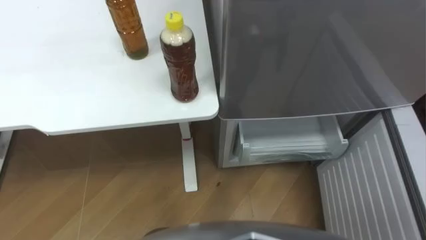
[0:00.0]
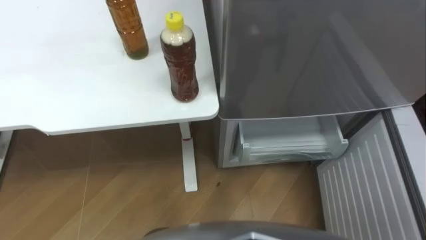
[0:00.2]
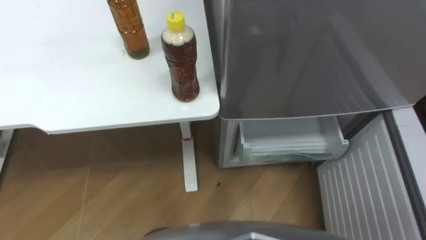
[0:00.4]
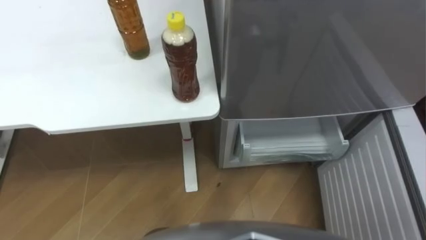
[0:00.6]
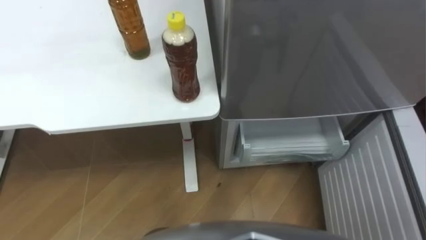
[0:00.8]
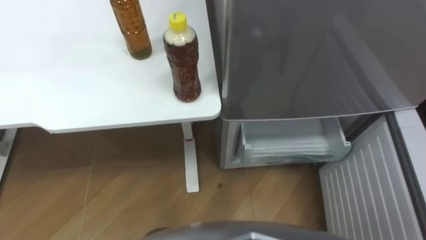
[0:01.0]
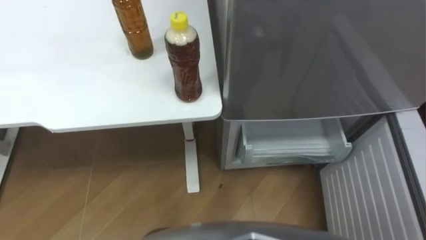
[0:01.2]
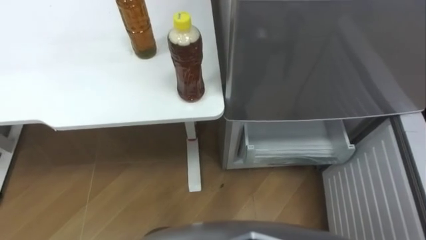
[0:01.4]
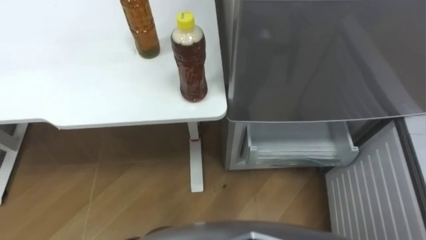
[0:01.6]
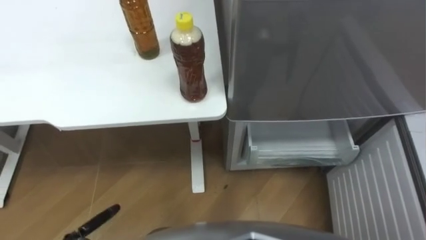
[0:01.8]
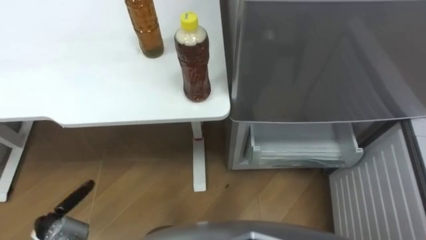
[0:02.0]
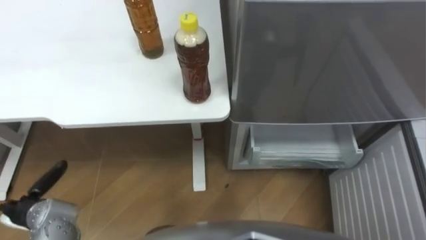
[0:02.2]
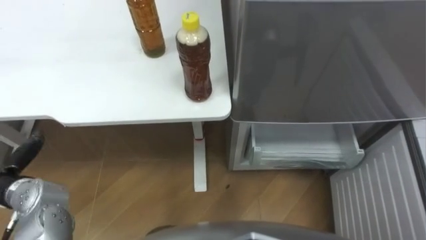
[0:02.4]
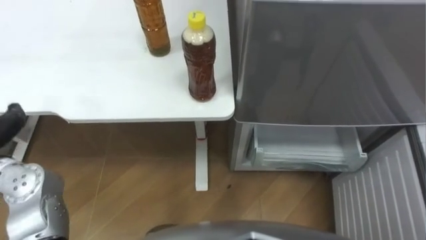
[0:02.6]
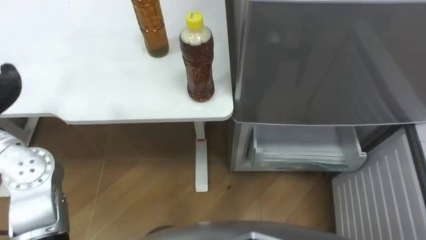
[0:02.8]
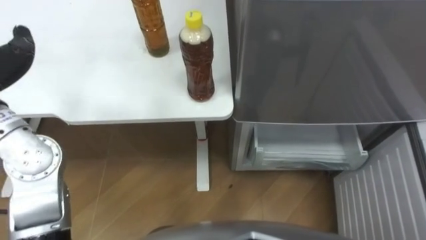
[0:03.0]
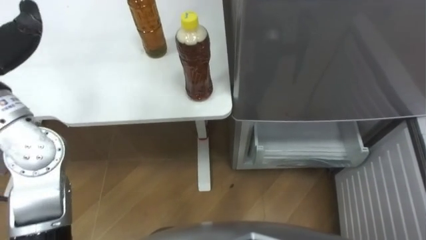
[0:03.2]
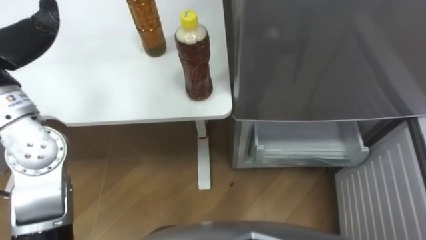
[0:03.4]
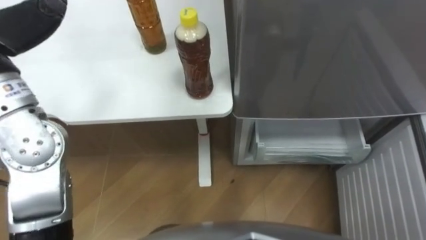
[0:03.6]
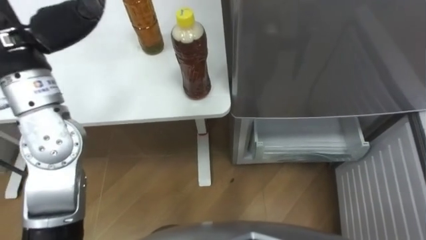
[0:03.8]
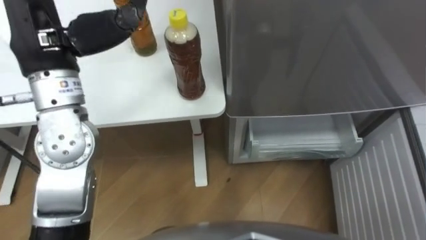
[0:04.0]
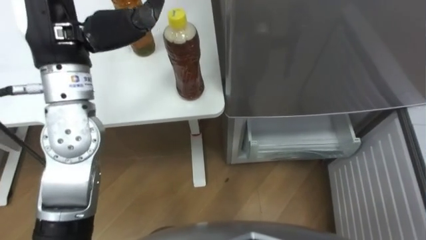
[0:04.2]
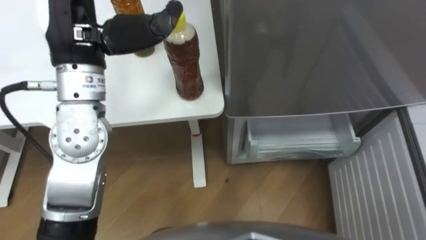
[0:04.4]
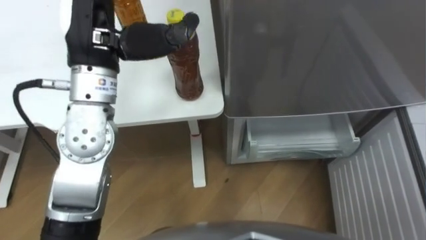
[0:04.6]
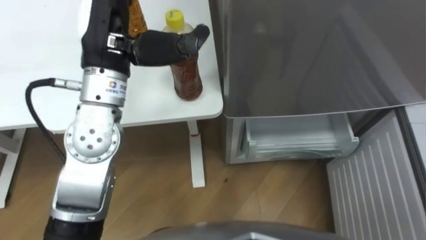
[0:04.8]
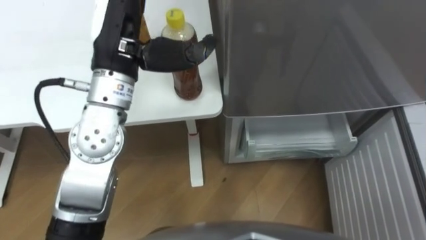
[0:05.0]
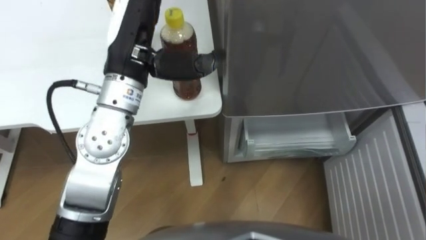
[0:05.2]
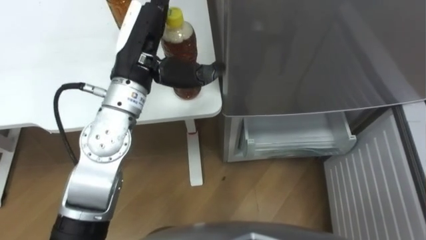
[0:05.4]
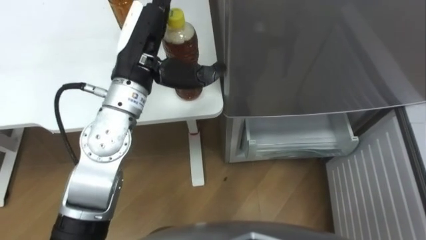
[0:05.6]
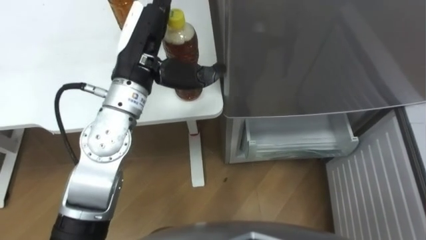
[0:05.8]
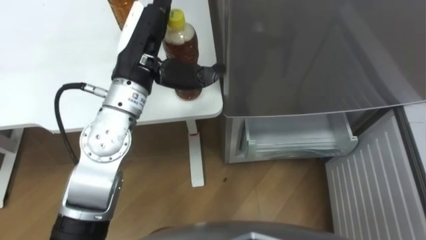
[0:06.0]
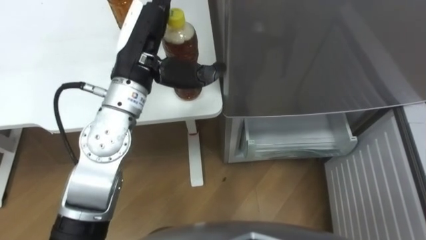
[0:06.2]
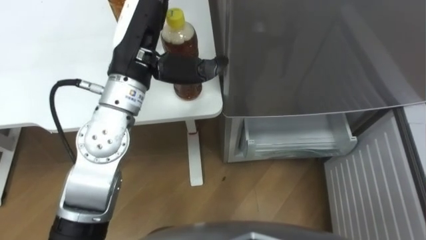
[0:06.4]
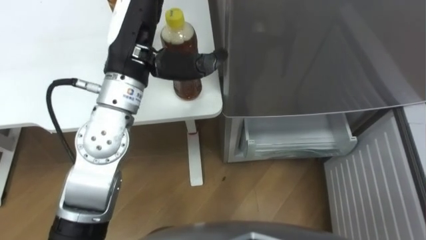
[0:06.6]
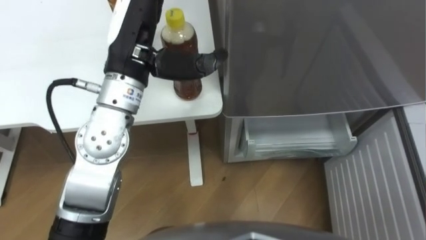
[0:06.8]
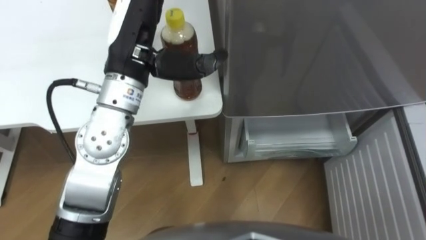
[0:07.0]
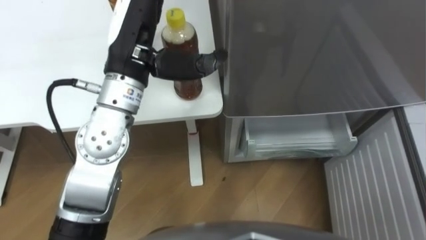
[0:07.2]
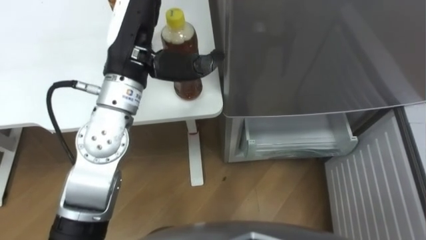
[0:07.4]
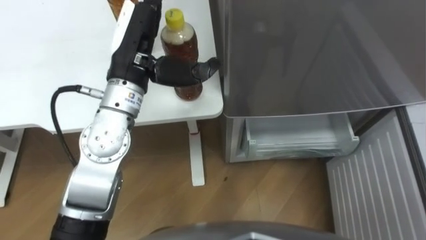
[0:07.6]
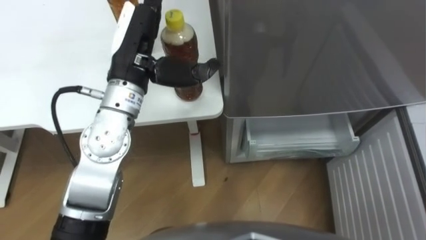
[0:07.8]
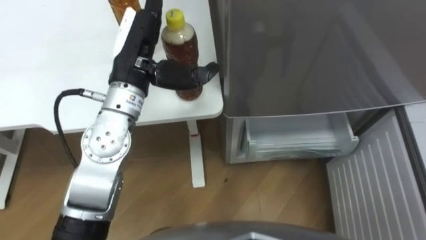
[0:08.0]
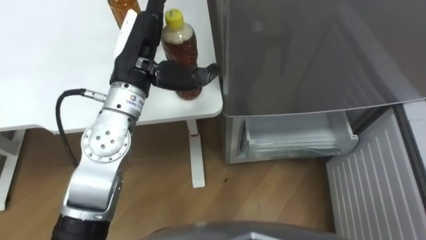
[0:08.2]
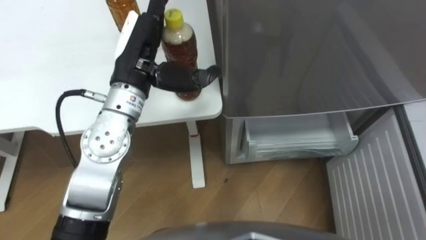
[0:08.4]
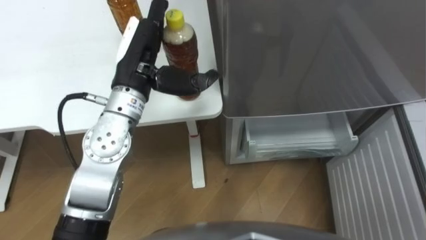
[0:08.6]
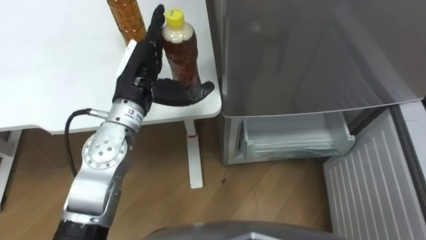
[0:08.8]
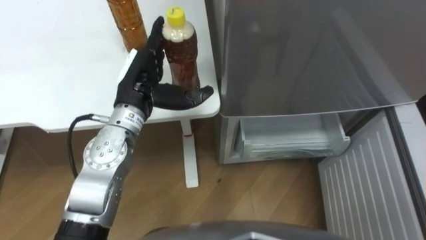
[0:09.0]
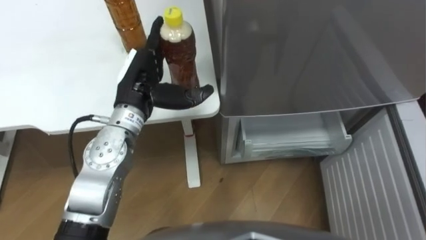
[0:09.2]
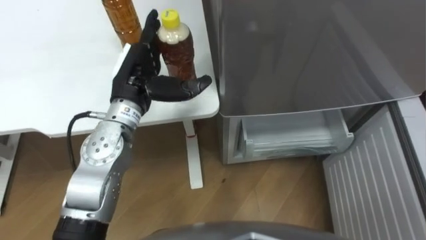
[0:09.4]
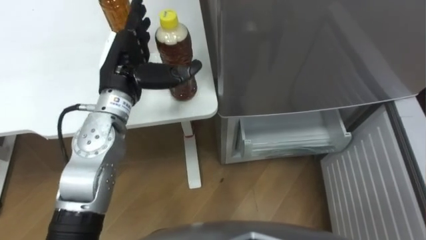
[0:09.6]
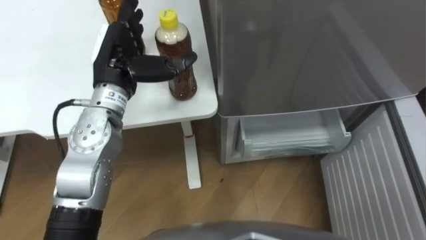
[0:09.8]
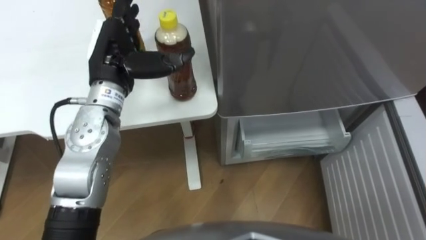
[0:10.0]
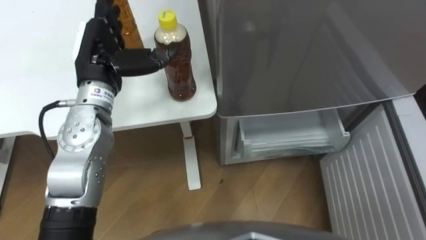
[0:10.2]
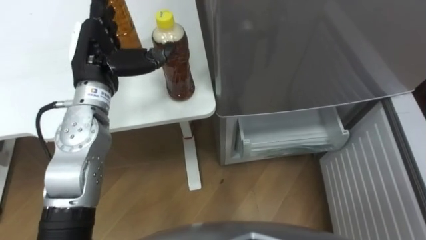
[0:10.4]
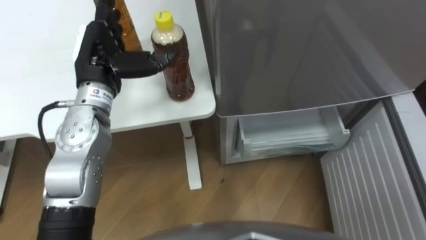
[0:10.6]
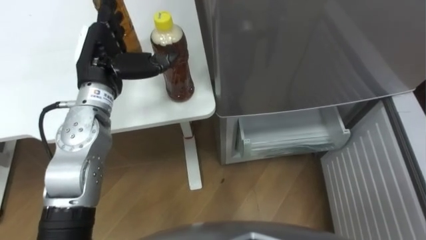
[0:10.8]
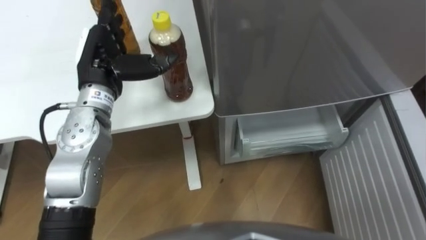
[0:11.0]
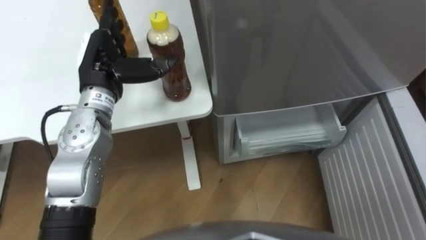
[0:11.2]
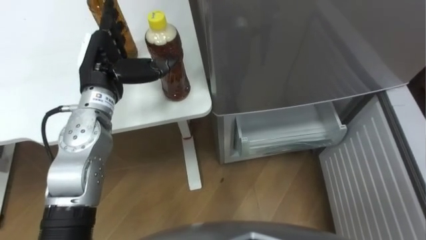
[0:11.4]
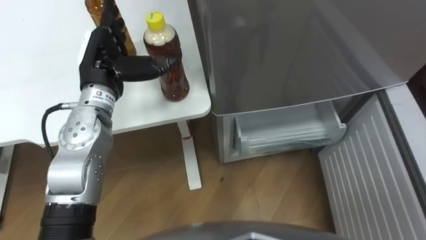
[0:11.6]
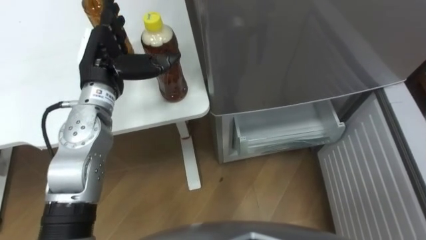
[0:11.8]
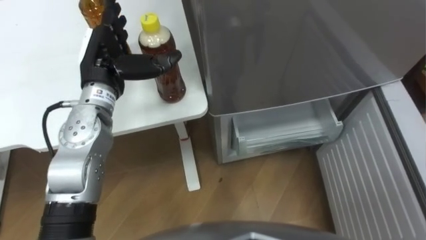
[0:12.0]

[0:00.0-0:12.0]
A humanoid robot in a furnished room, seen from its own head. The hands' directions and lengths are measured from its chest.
Task of the whole recording: Place the drink on the table on the bottom shelf of the refrigerator, then close the drawer and the refrigerator door.
0:04.4 to 0:06.0: The left hand shifts about 10 cm downward and to the right.
0:07.6 to 0:09.0: The left hand moves downward, approximately 10 cm.
0:09.0 to 0:10.4: The left hand heads to the left, covering approximately 5 cm.

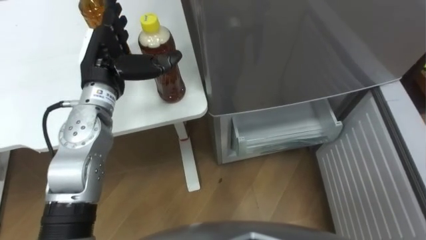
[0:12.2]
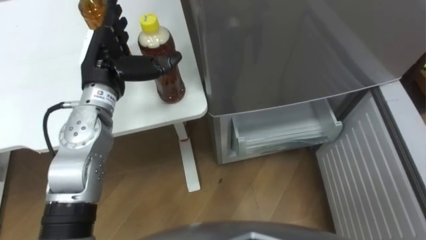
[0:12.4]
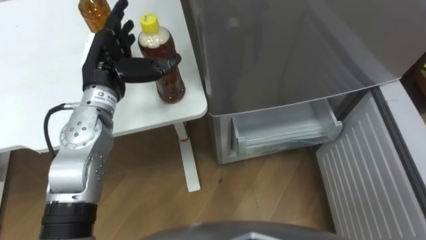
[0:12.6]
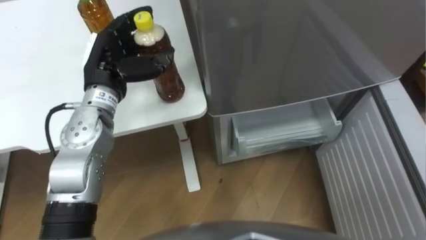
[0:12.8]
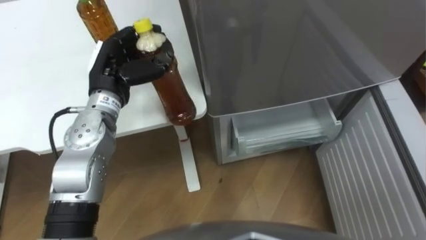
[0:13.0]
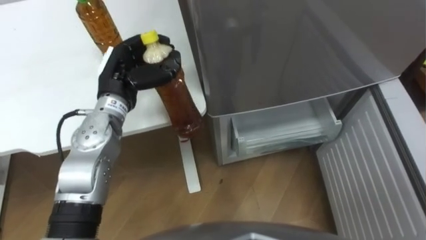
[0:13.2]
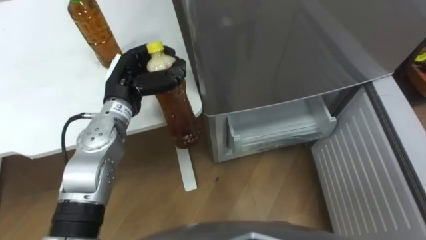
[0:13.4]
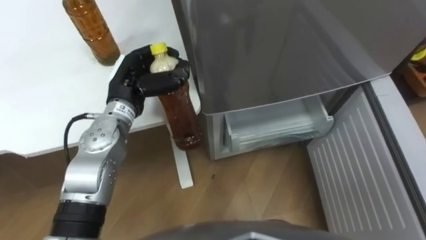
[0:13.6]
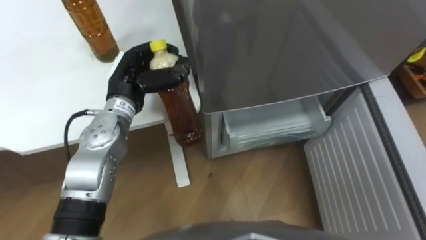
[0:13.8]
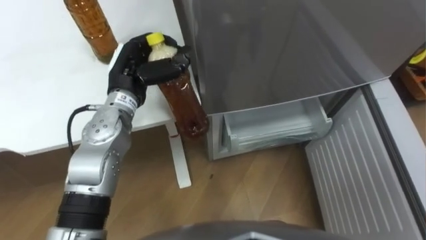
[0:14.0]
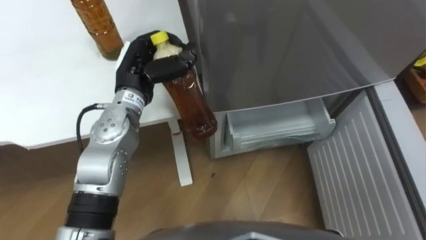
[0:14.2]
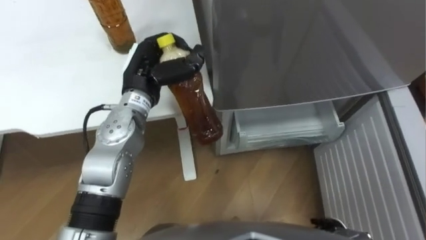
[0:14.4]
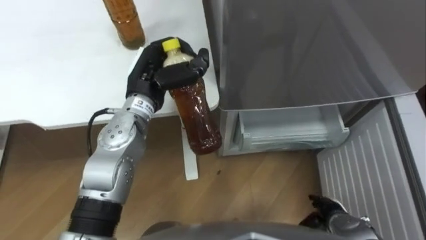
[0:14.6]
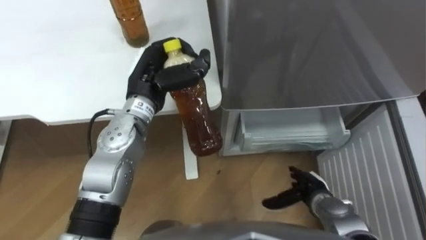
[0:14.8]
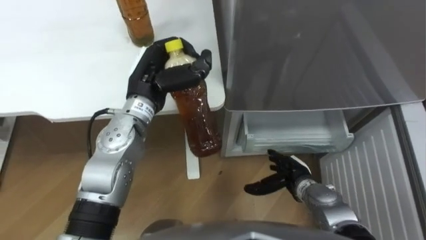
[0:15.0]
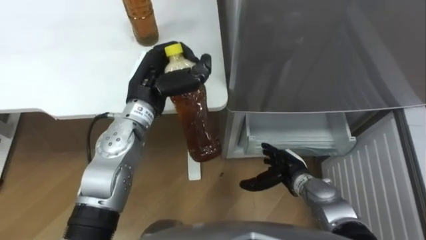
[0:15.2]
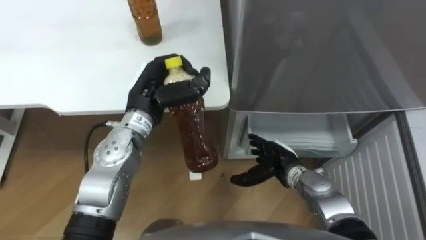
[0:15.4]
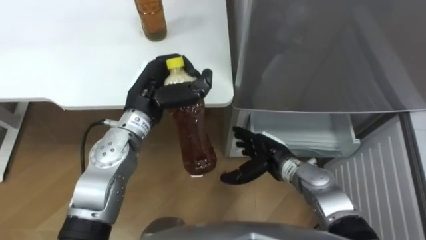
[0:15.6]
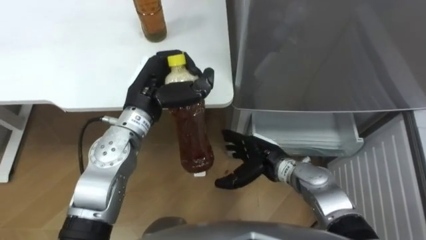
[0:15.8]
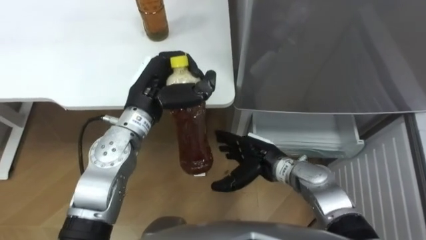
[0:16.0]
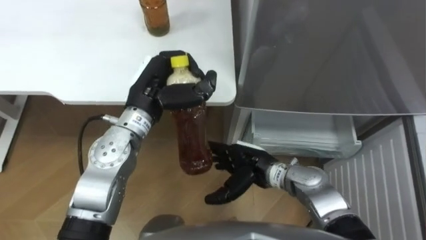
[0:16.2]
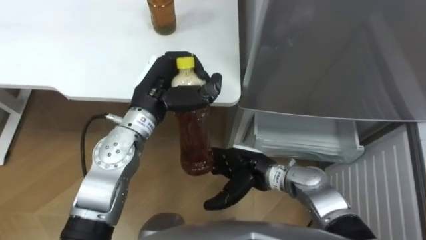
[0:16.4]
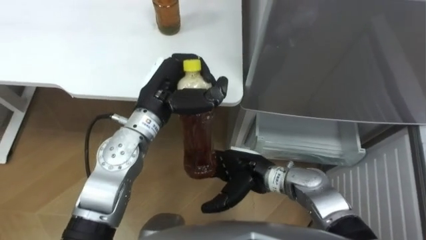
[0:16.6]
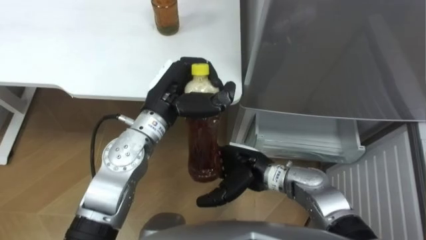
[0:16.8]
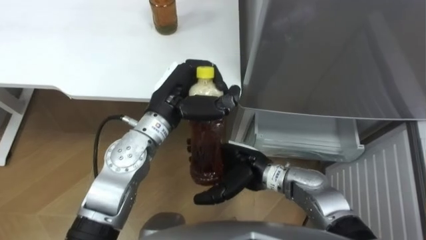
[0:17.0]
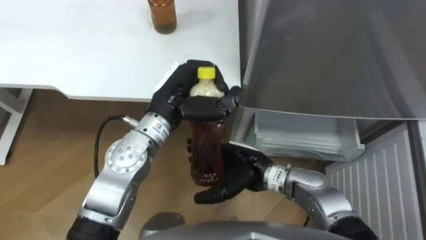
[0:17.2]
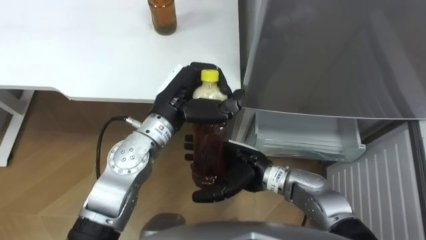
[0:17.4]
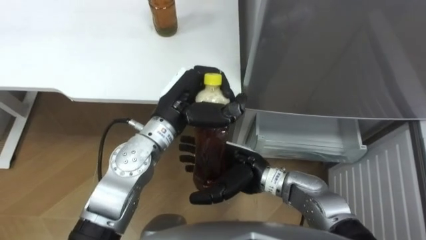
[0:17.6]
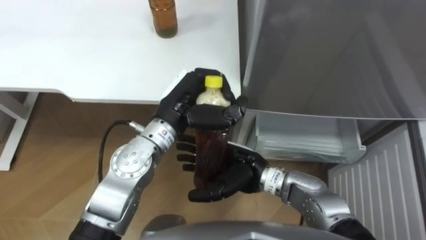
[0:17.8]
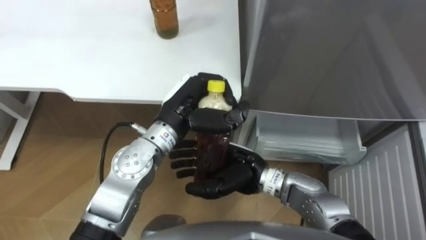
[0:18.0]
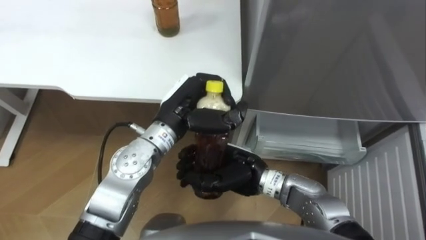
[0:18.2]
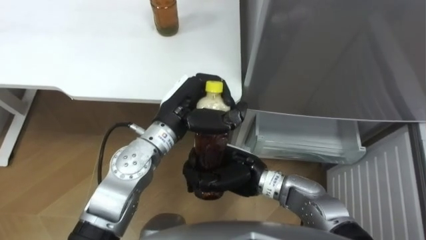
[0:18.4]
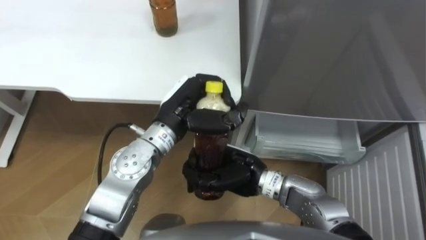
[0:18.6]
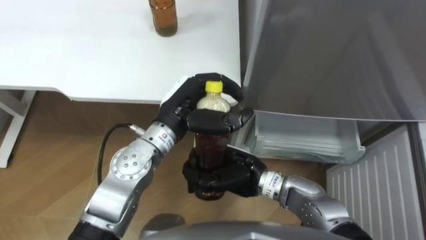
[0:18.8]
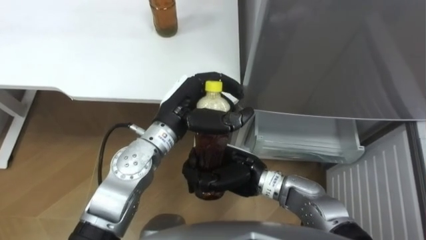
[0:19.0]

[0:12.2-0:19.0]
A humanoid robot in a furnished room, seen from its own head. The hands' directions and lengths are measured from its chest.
Task of the whole recording: Place the drink on the table on the bottom shelf of the refrigerator, then close the drawer and the refrigerator door.
0:12.2 to 0:13.6: The left hand is displaced downward by about 5 cm, and closes its fingers.
0:15.0 to 0:16.2: The right hand goes approximately 15 cm to the left and upward.
0:16.2 to 0:17.6: The left hand shifts by some 5 cm.
0:17.6 to 0:19.0: The right hand closes.
